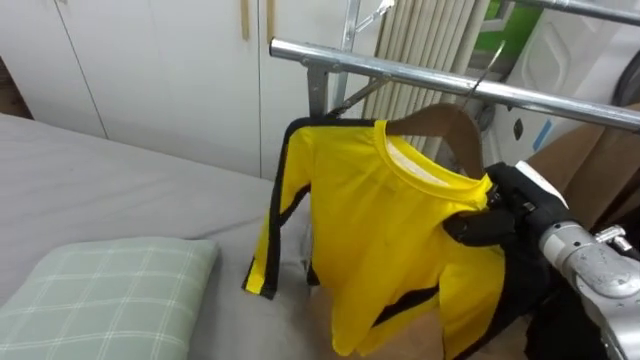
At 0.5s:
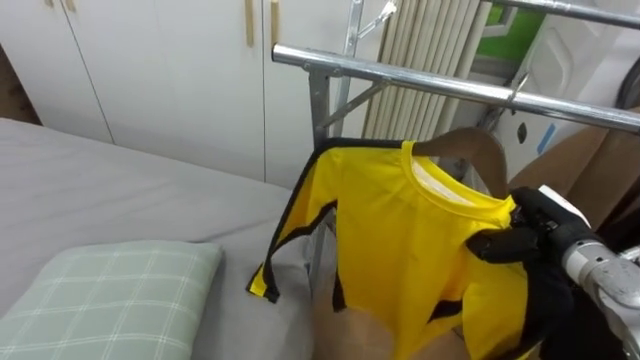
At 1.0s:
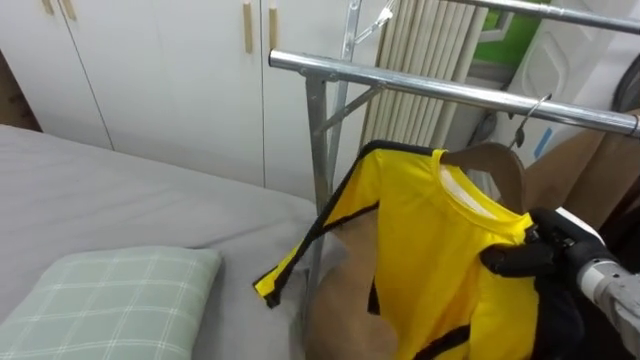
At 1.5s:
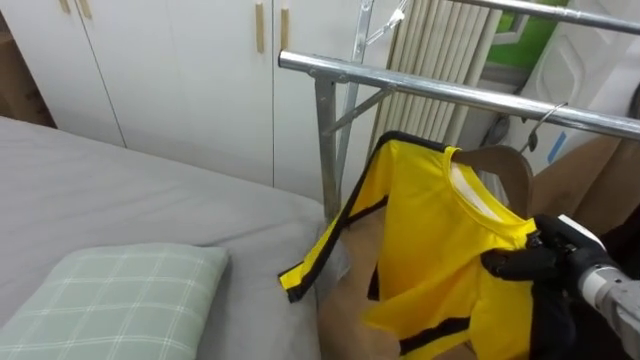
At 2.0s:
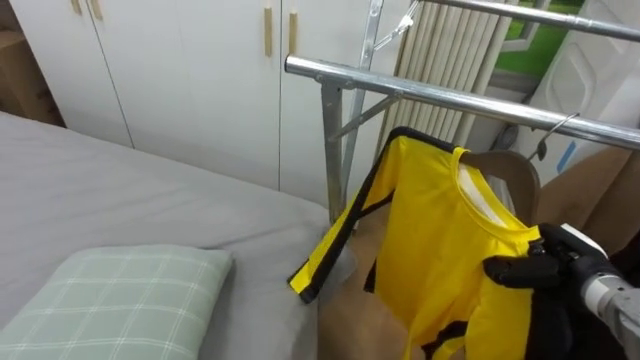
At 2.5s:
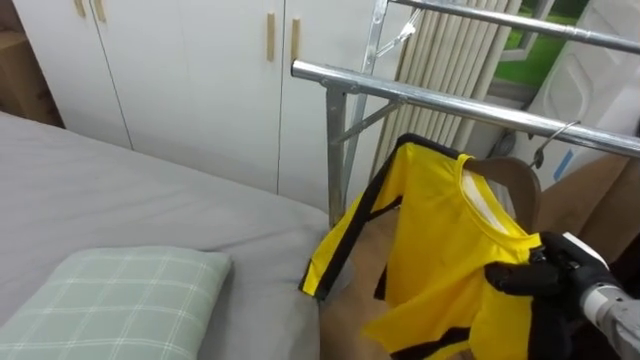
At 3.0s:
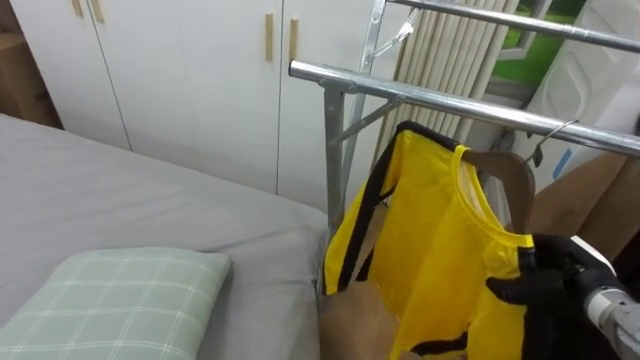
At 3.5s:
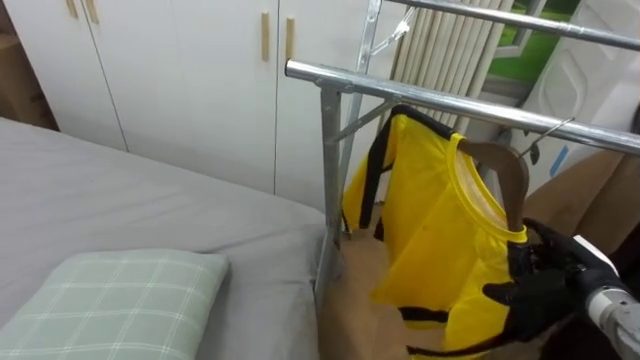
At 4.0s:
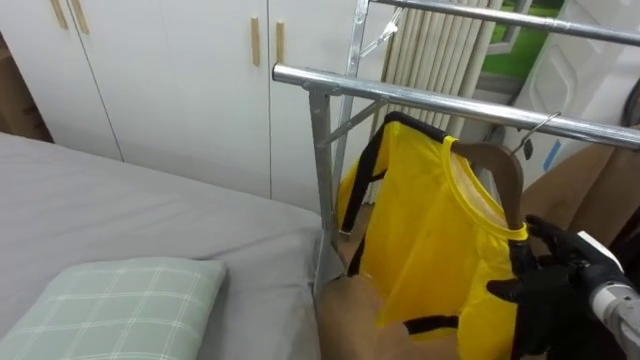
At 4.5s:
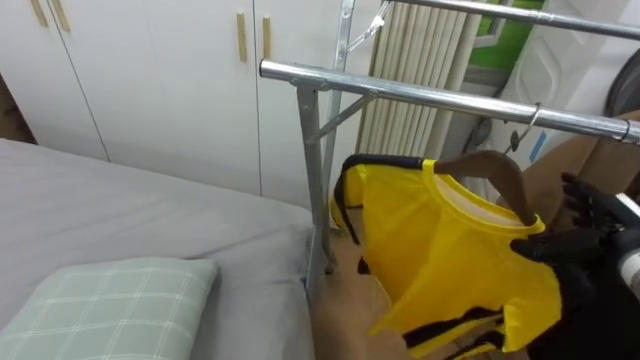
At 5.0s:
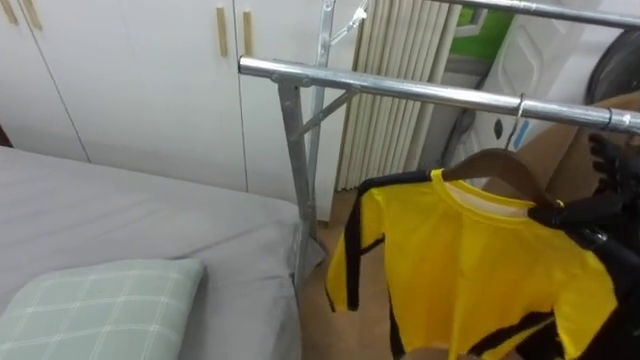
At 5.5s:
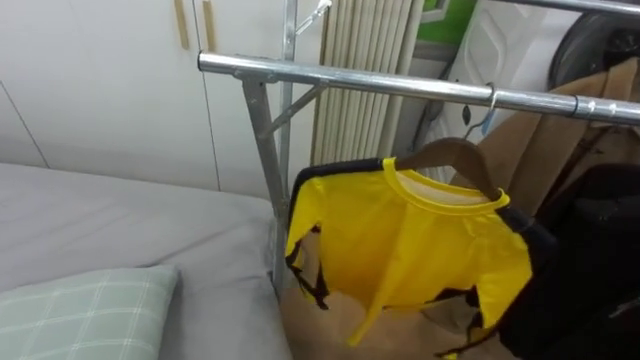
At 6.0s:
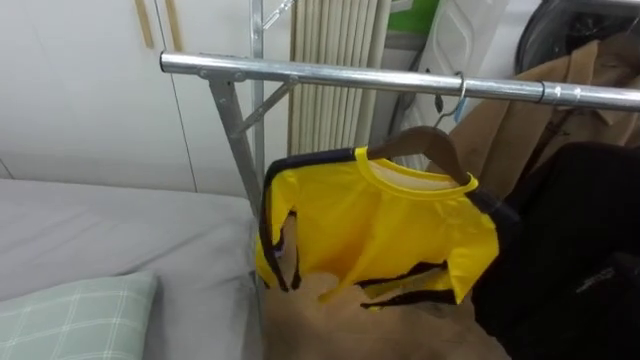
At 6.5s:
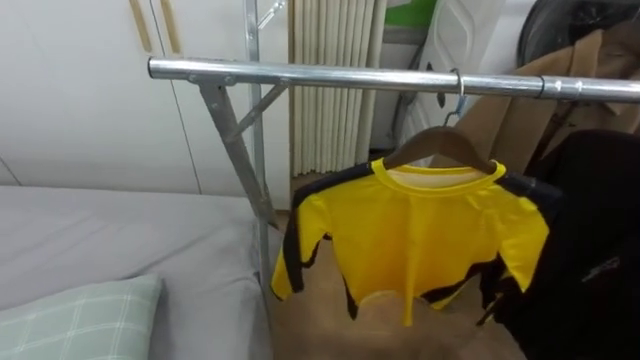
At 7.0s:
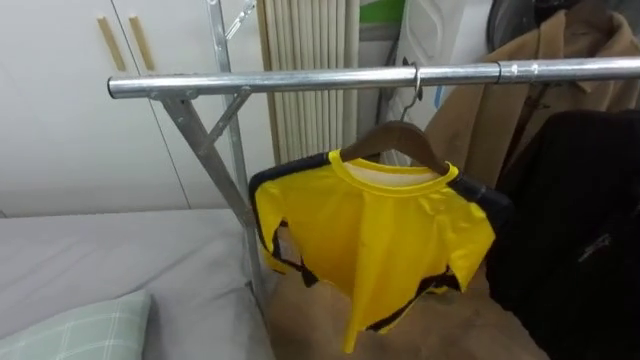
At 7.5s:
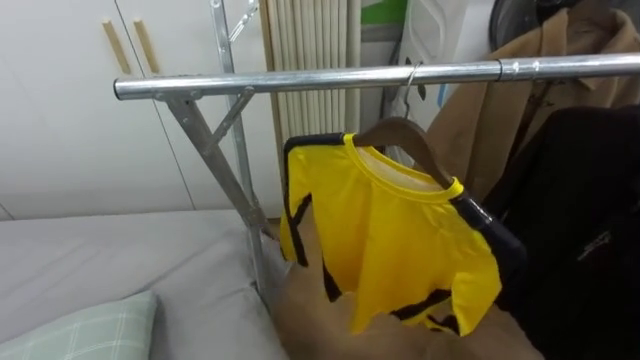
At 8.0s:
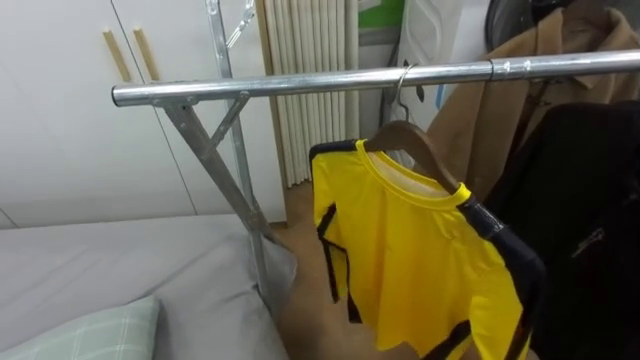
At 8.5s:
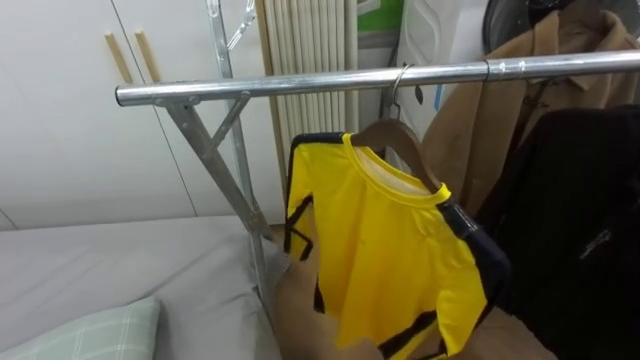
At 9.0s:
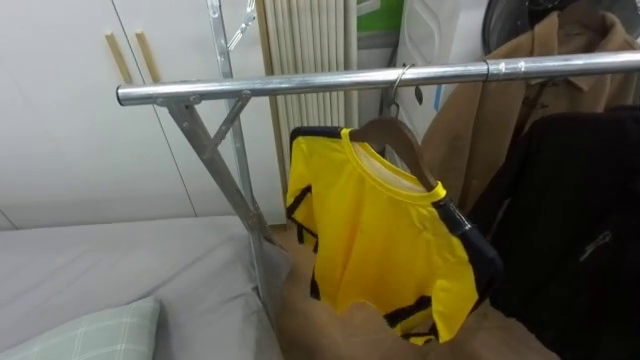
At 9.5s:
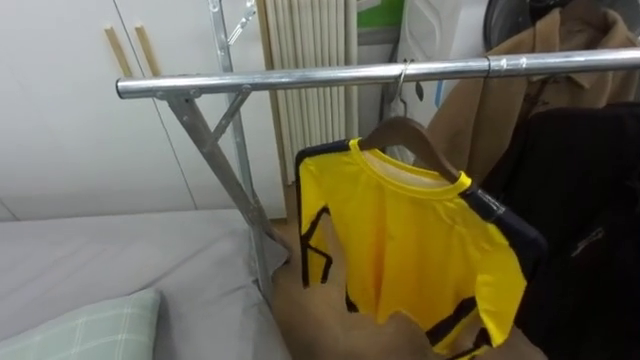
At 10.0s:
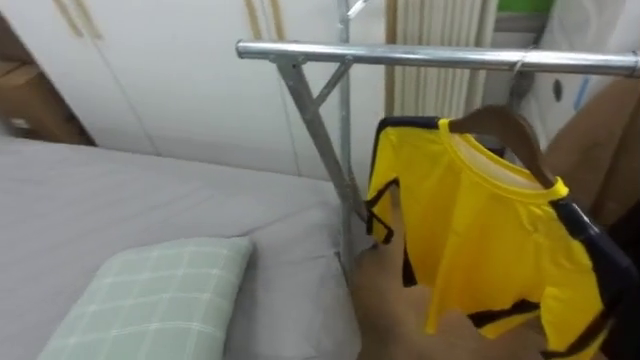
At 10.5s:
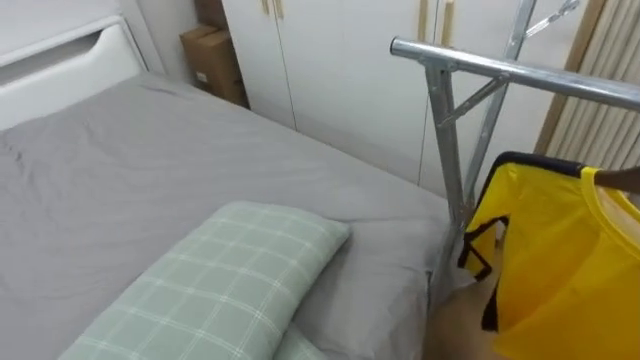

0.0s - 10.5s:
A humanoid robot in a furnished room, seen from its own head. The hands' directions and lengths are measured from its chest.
Task of the whole recording: Pick up the yellow shirt on the bed and hang it on the clothes rack on the right.
0.0s - 2.0s: The right hand is displaced downward and to the right by approximately 10 cm.
2.0s - 4.0s: The right hand opens its fingers.
8.5s - 10.5s: The robot rotates some 40 degrees to its left.

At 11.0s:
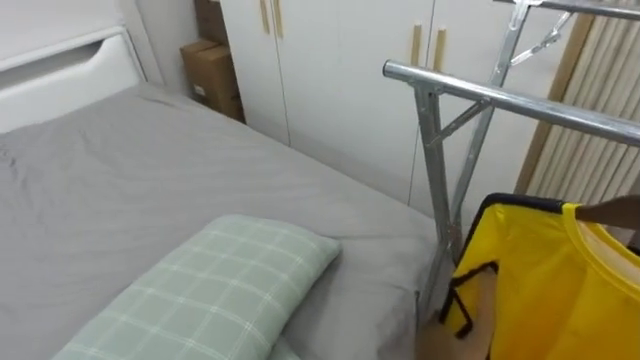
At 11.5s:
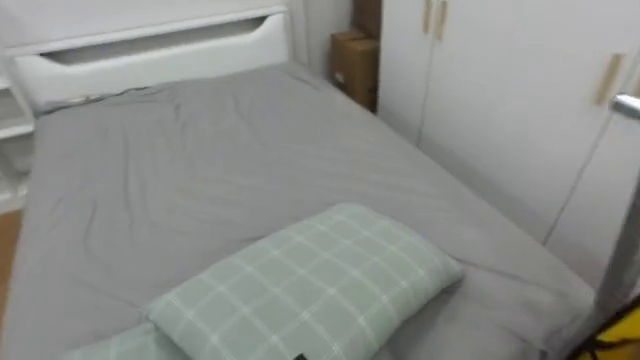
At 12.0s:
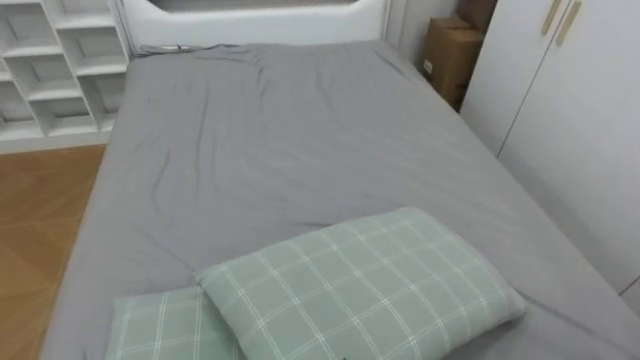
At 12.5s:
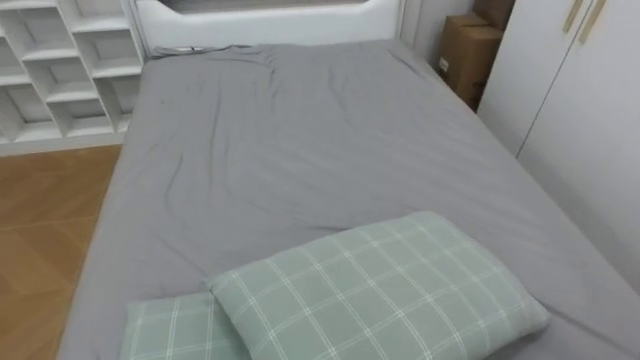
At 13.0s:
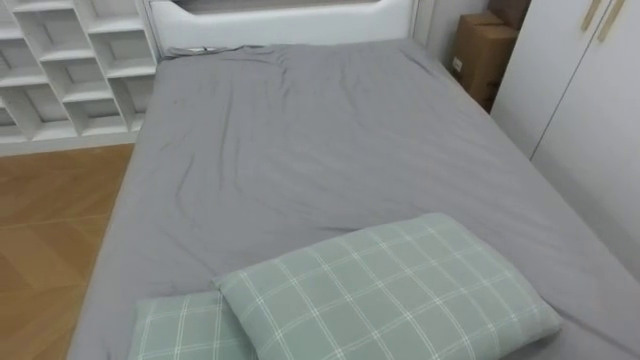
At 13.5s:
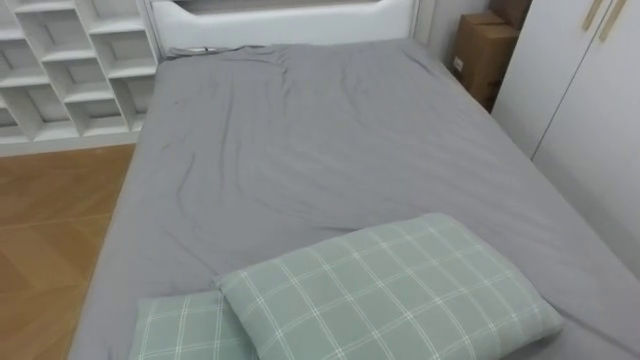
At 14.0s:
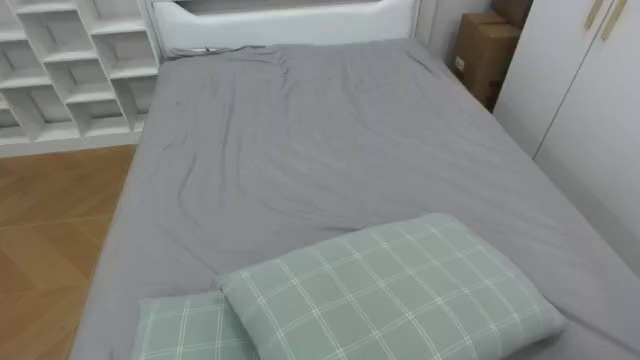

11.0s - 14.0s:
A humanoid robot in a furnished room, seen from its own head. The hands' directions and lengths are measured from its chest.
Task of the whole recording: Pick up the yellow shirt on the bed and hang it on the clothes rack on the right.
11.0s - 12.5s: The robot turns to its left by some 35 degrees.

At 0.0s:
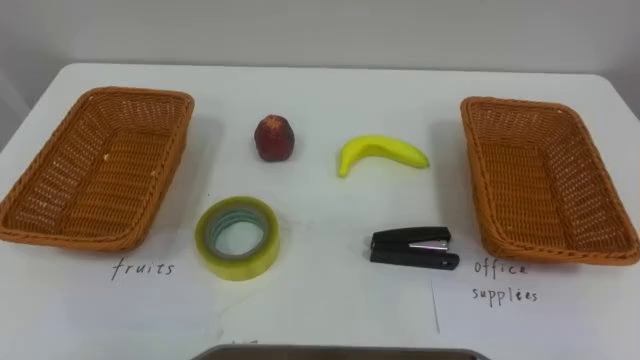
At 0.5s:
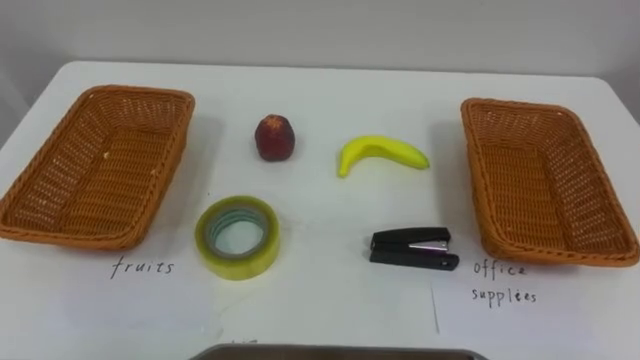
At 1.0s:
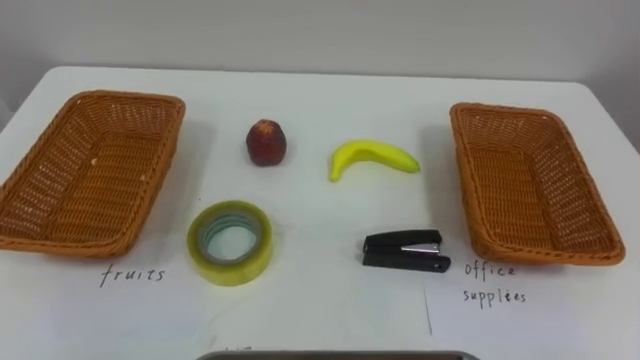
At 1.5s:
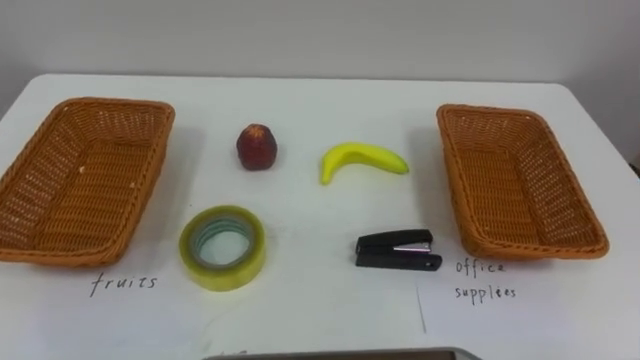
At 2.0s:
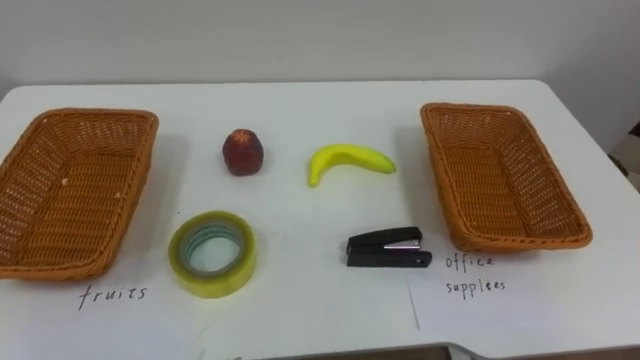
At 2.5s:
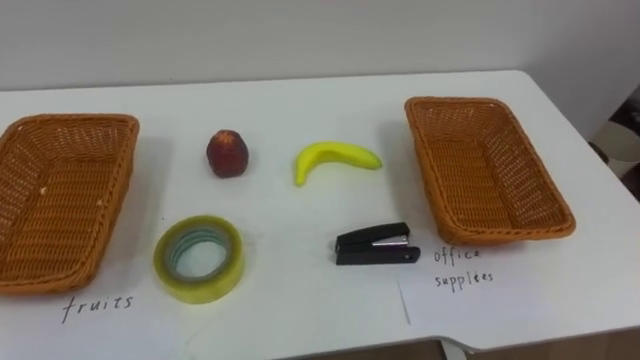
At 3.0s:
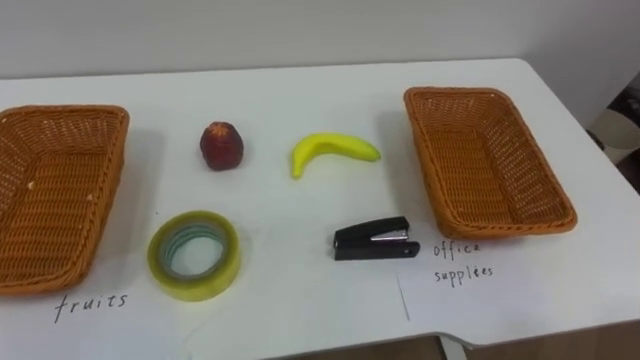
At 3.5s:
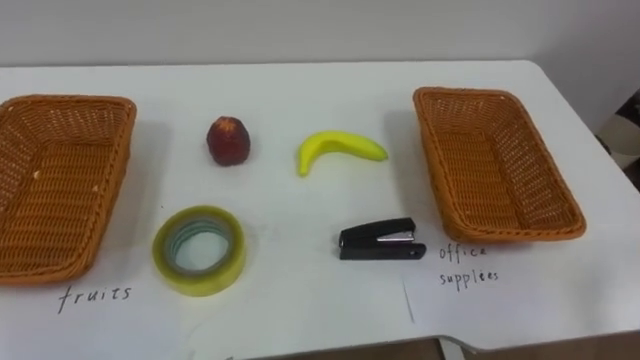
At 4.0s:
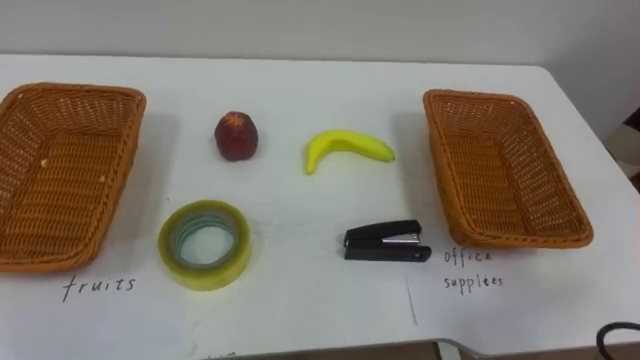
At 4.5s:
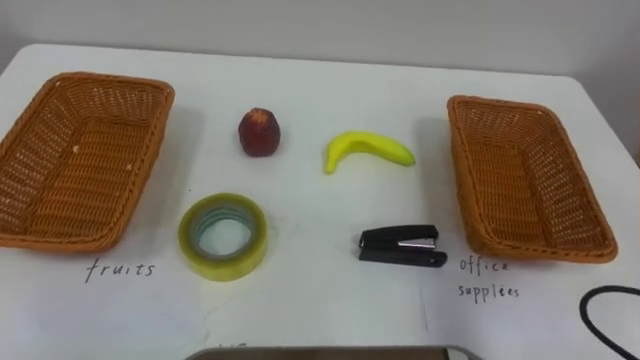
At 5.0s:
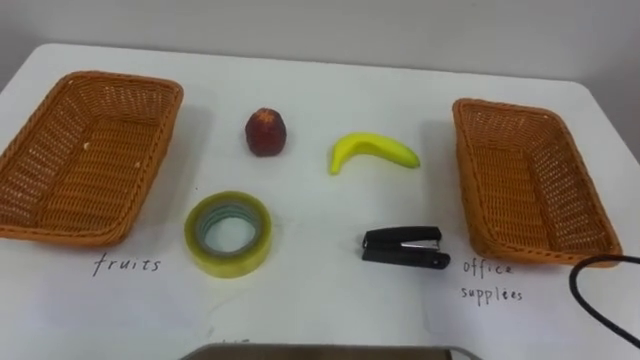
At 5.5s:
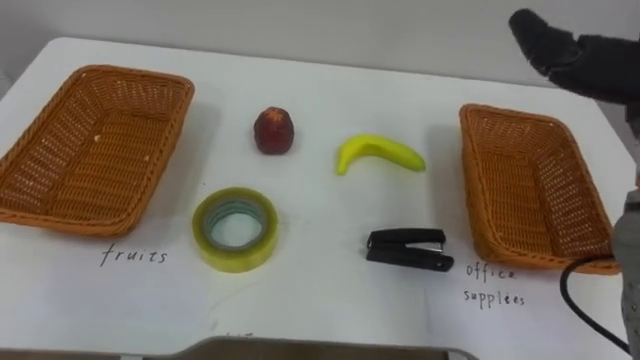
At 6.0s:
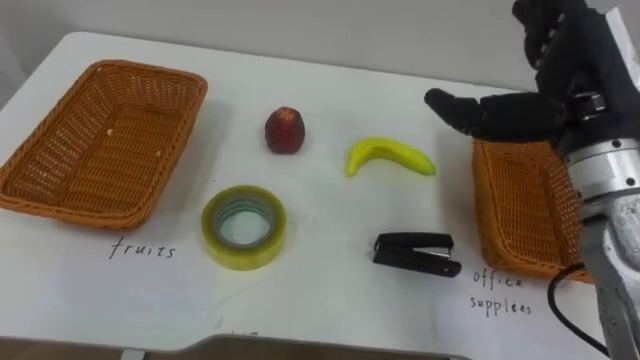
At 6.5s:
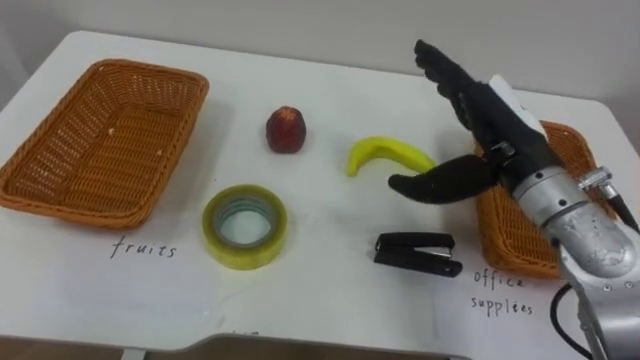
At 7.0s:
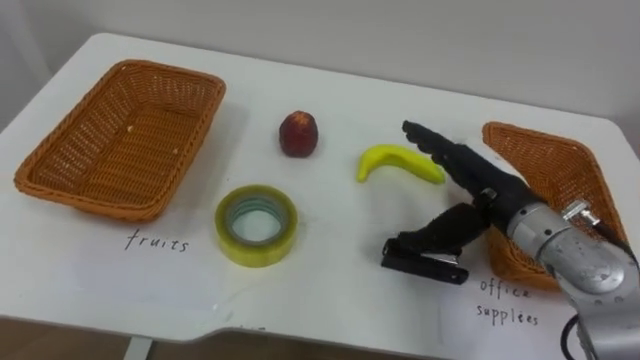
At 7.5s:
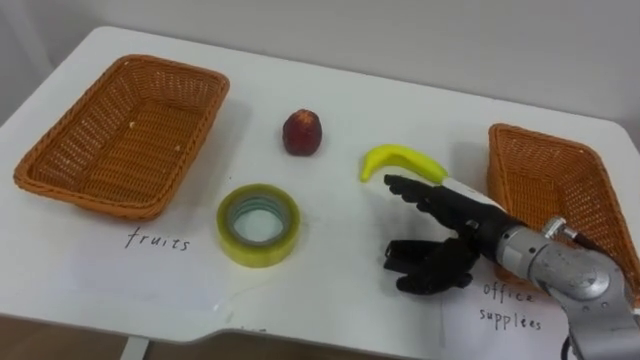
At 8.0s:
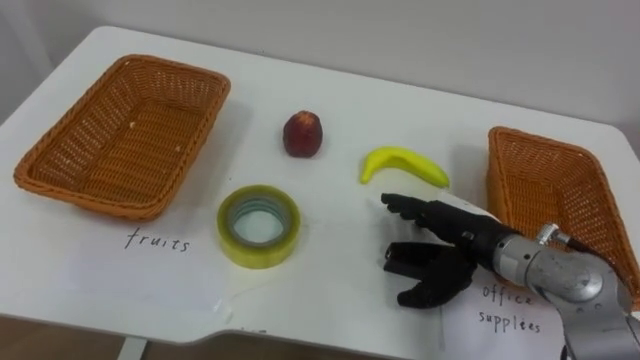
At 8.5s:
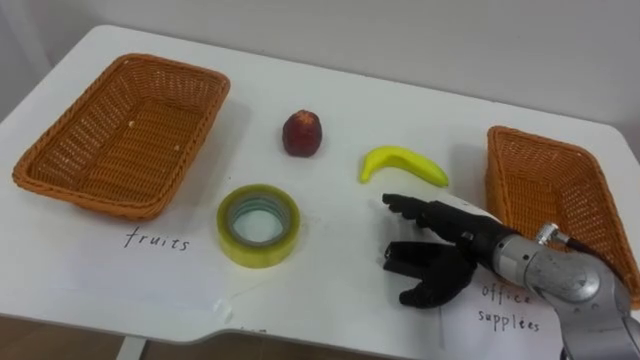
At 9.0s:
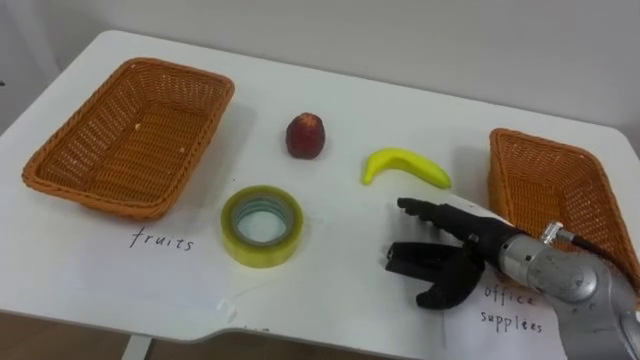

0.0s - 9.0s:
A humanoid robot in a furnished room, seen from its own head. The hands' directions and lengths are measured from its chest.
Task of the whole recording: Separate the items on the table and place them into the two baskets.
7.0s - 9.0s: The right hand shifts about 5 cm downward.
